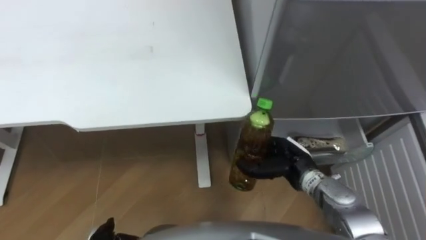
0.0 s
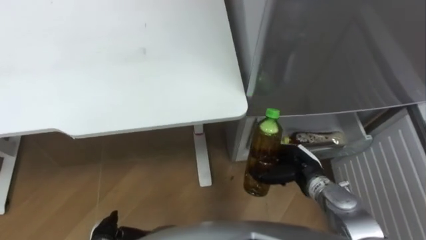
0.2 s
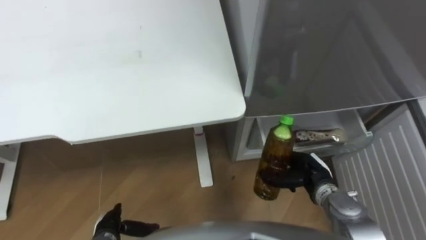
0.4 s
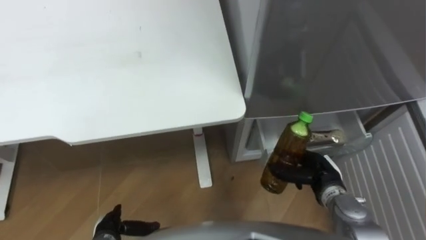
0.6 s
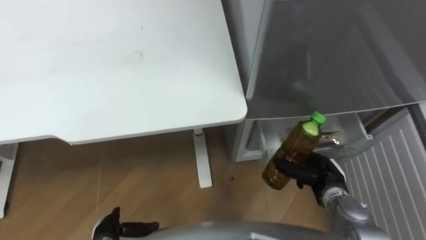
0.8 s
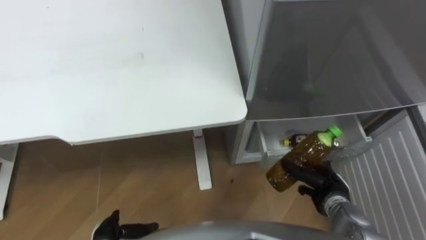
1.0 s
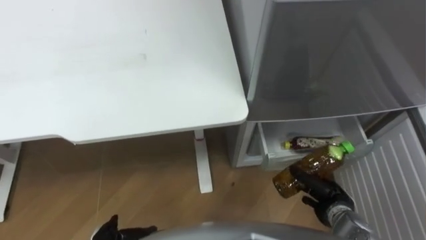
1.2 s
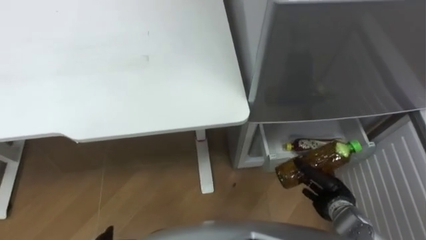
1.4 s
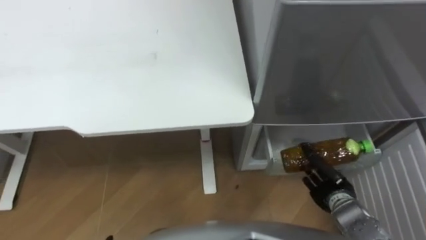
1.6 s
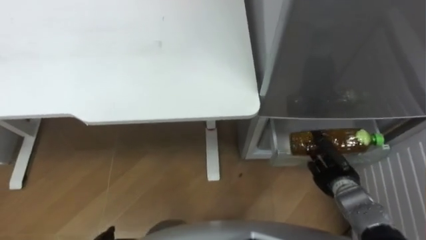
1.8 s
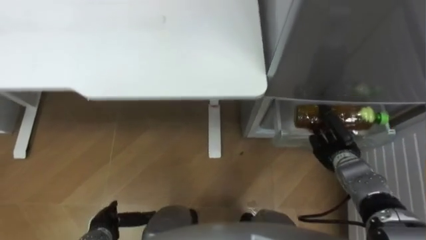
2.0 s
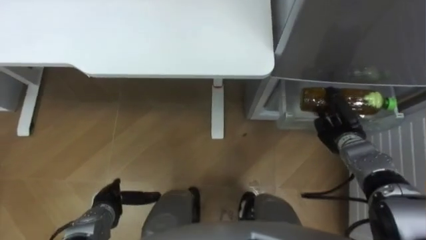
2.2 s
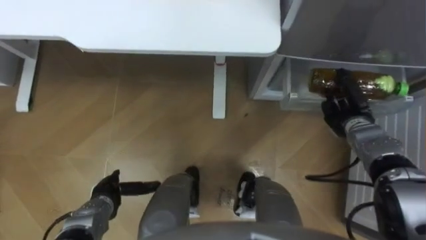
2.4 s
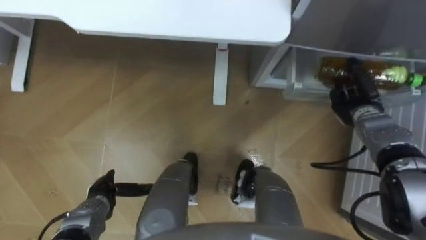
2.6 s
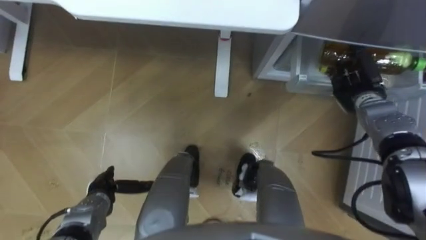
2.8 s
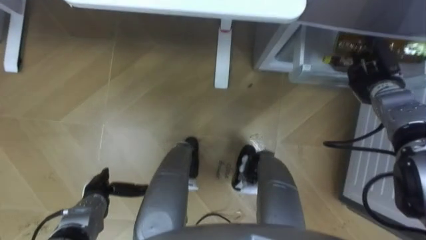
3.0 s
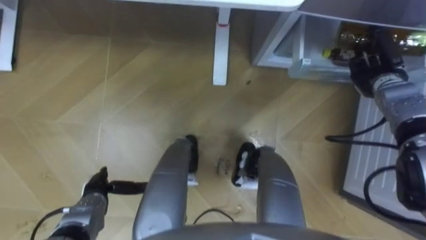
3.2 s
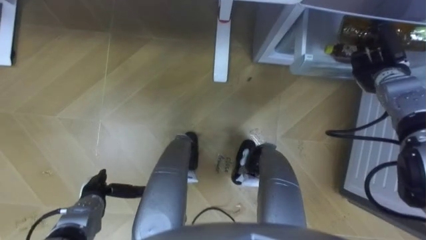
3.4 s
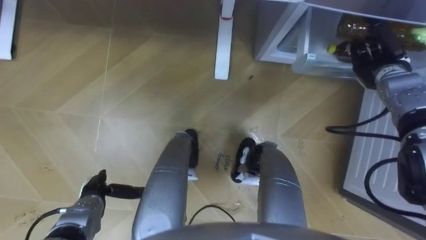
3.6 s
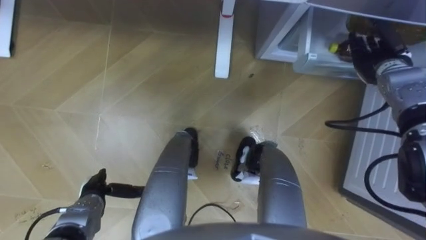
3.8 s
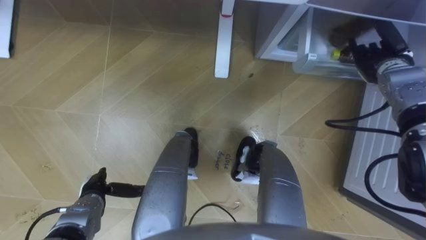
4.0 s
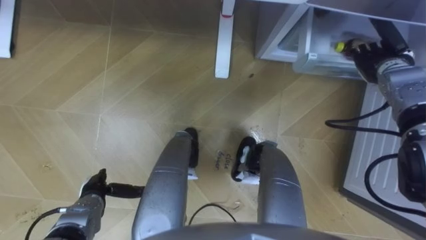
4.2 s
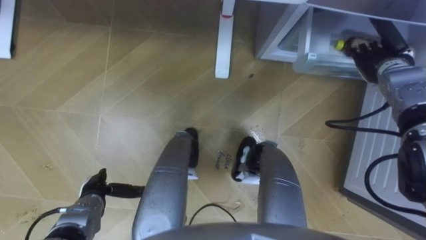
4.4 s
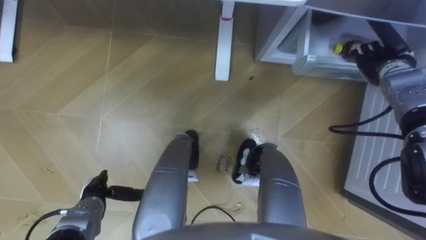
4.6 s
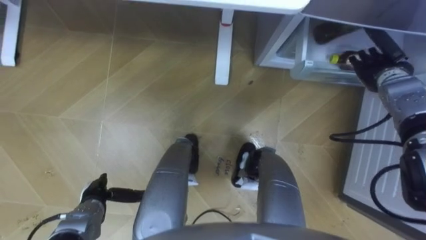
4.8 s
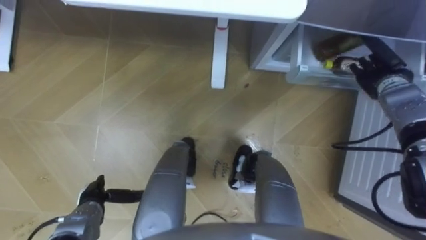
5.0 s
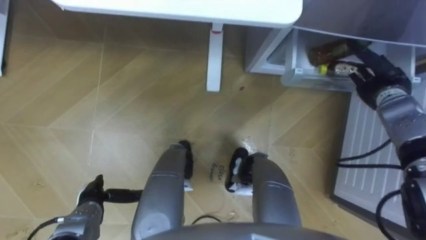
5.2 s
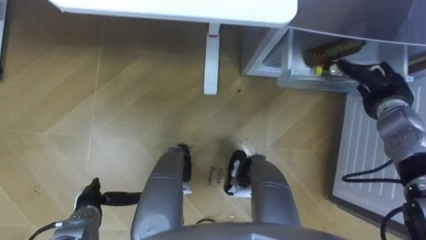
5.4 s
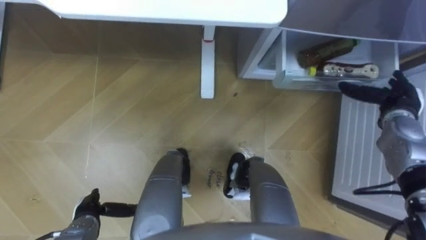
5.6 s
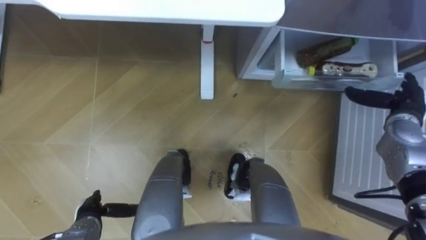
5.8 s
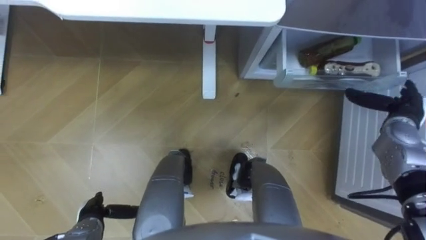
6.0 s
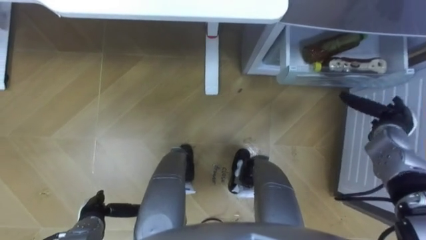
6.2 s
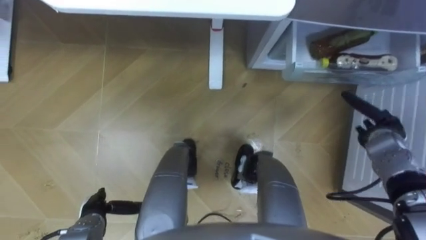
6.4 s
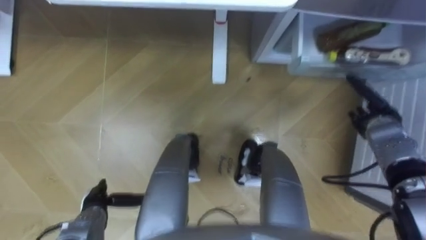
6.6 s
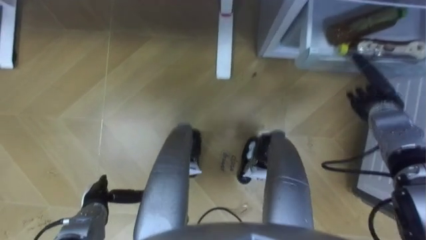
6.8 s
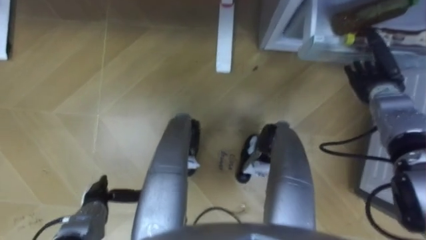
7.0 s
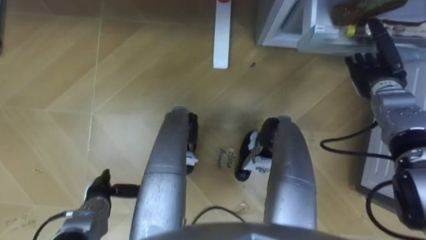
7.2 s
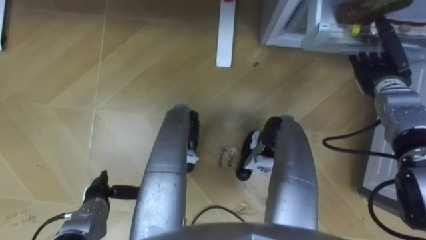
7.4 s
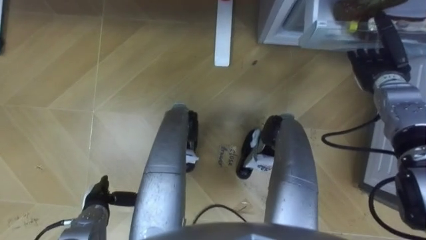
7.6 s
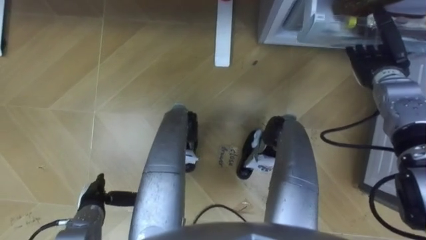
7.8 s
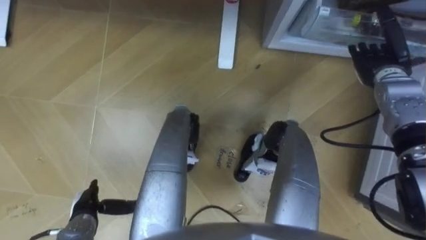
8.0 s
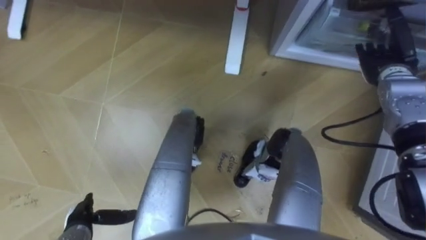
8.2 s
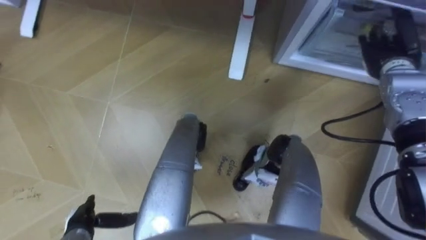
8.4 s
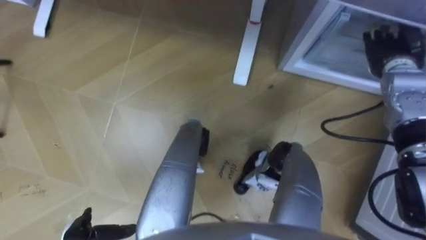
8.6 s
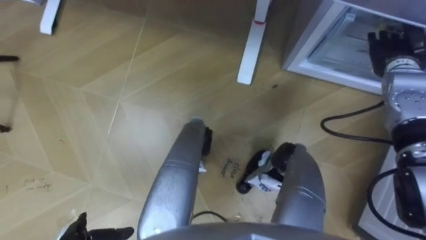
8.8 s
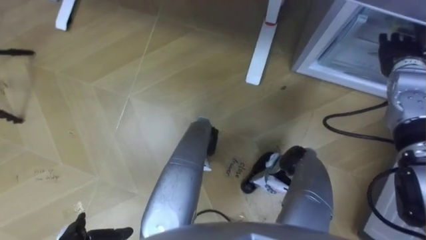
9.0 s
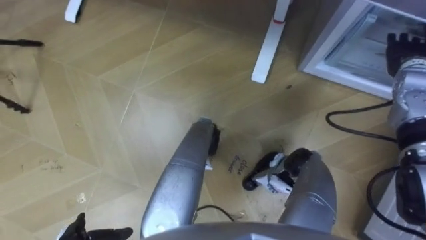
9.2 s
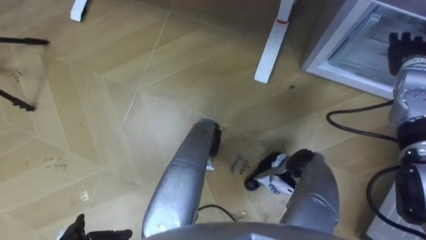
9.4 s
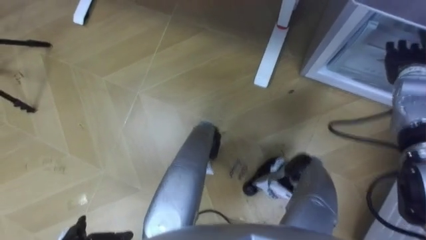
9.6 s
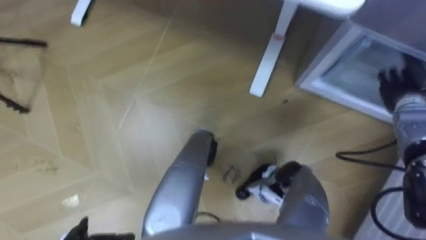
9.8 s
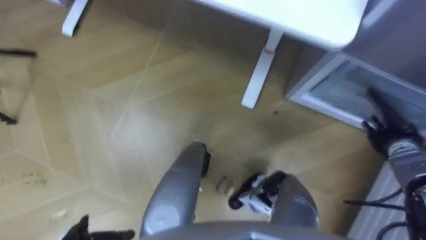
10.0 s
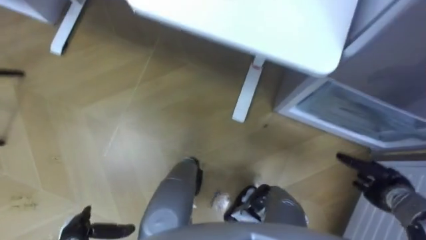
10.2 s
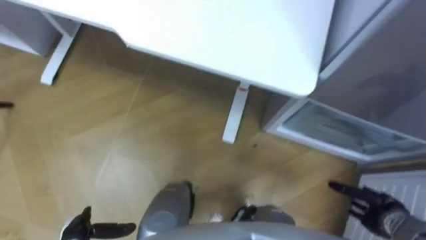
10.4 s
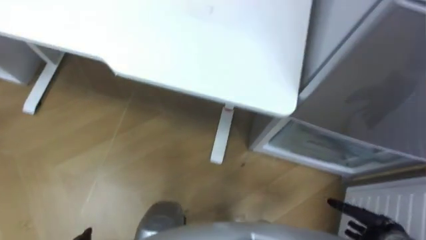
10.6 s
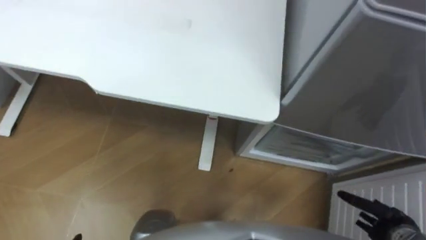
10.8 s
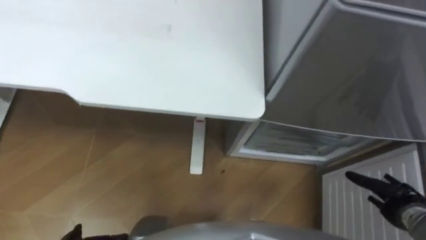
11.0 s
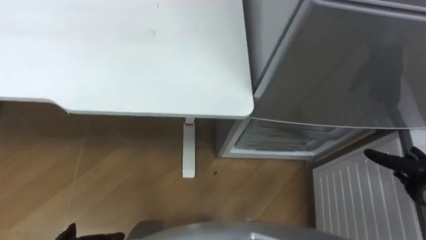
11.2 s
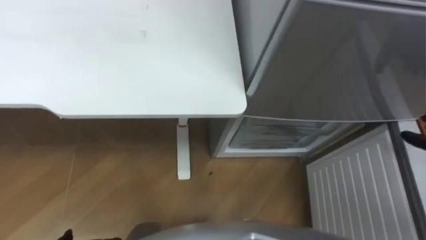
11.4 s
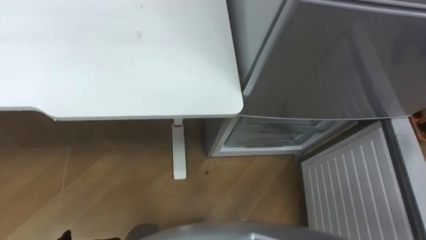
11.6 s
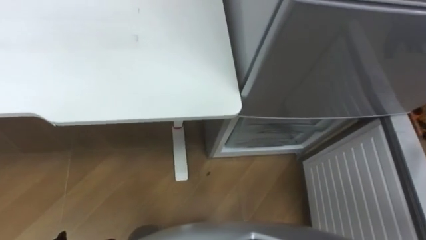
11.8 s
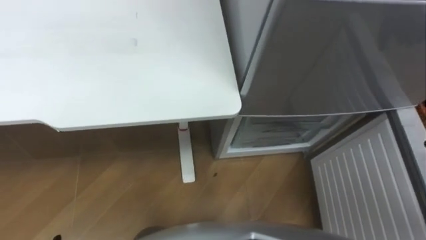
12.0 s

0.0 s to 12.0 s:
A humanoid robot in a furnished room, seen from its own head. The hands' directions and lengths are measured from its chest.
Task of the whole recording: Place the drink on the table on the bottom shelf of the refrigerator, then close the drawer and the refrigerator door.
0.0 to 1.6 s: The right hand heads to the right, downward and backward, covering roughly 15 cm.
1.6 to 3.0 s: The right hand heads forward and upward, covering roughly 25 cm.
3.0 to 4.4 s: The right hand changes place by about 5 cm, and opens.
4.4 to 6.0 s: The right hand heads backward, covering approximately 10 cm. Meanwhile the left hand shifts about 5 cm backward.
6.0 to 7.6 s: The right hand moves forward, roughly 10 cm.
9.0 to 10.4 s: The right hand goes about 35 cm backward and downward.

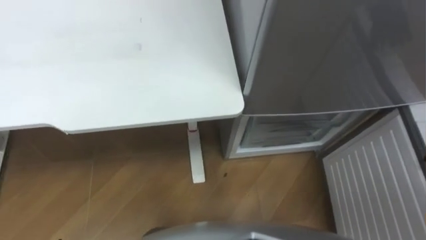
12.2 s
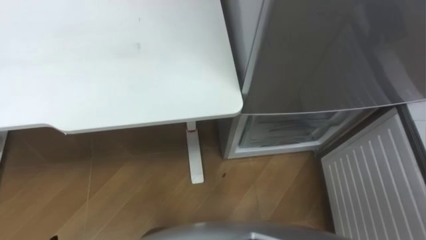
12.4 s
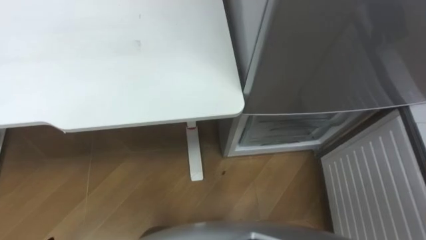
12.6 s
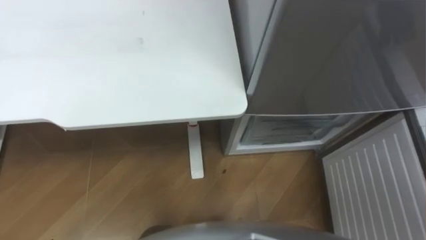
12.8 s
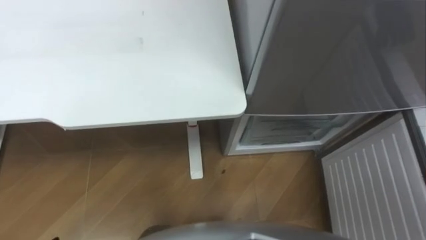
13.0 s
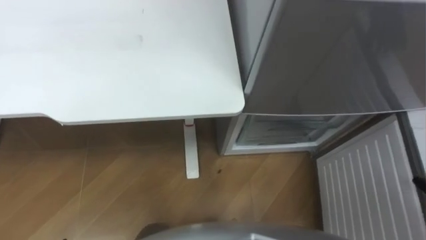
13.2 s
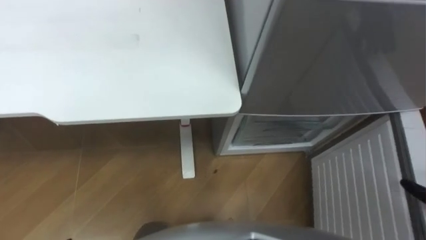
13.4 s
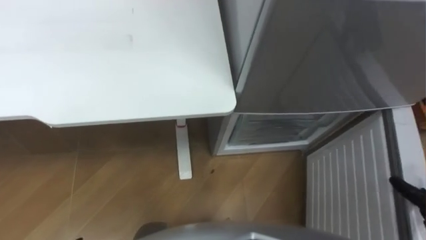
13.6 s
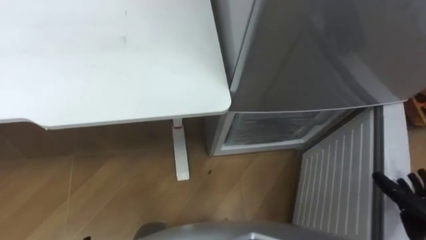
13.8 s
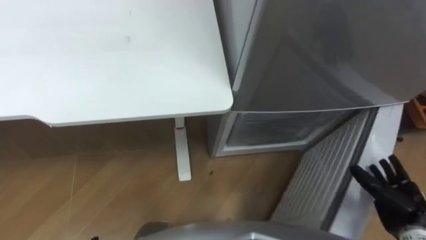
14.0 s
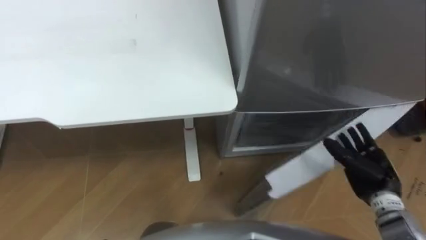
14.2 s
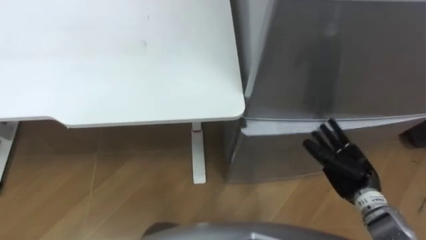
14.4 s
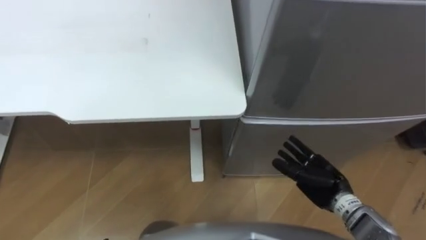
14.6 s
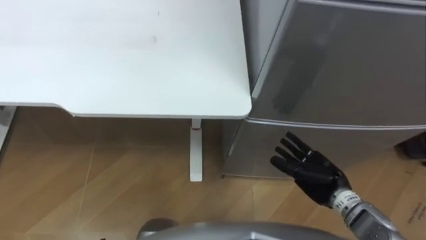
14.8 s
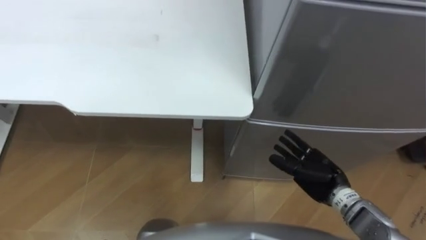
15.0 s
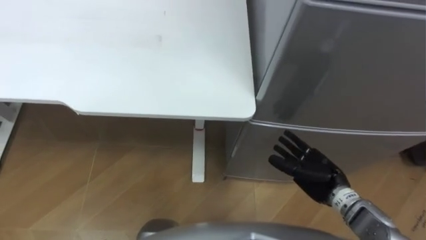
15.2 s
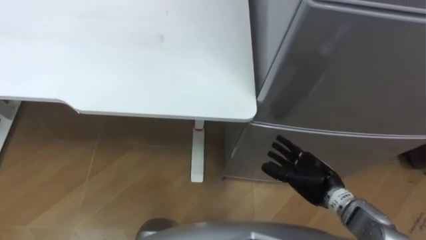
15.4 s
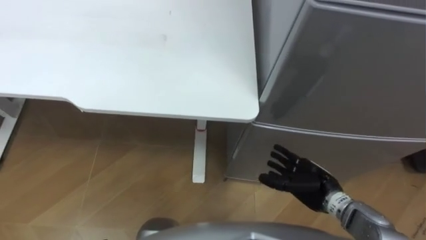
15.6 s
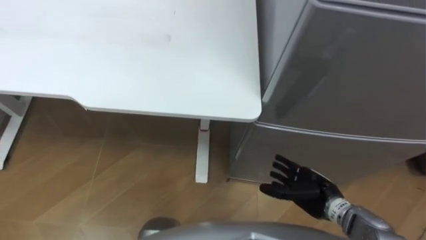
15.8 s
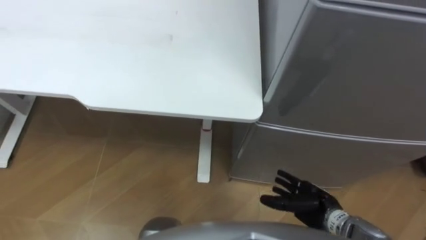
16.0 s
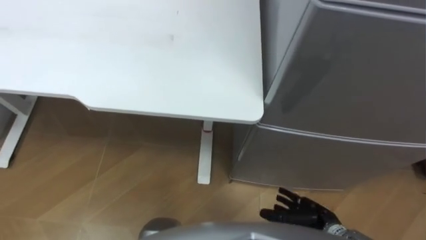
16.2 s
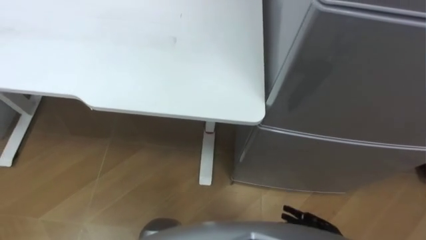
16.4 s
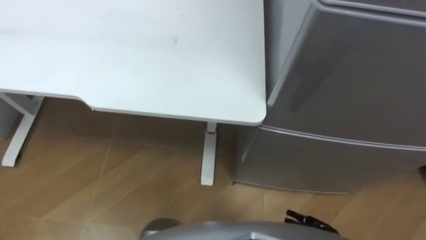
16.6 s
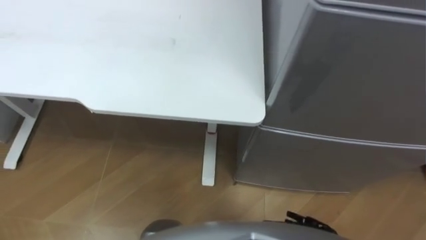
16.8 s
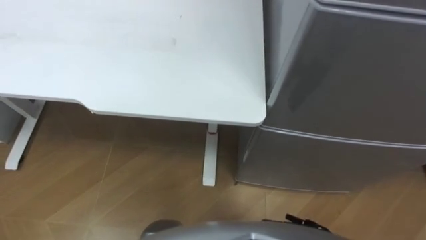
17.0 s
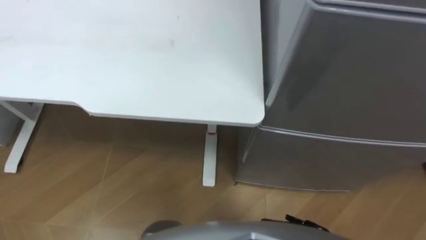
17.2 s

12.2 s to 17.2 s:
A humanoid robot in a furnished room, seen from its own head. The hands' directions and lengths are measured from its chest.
Task of the whole recording: Place the drink on the table on the bottom shelf of the refrigerator, then close the drawer and the refrigerator door.
13.8 to 15.6 s: The right hand heads to the left and forward, covering some 20 cm.
